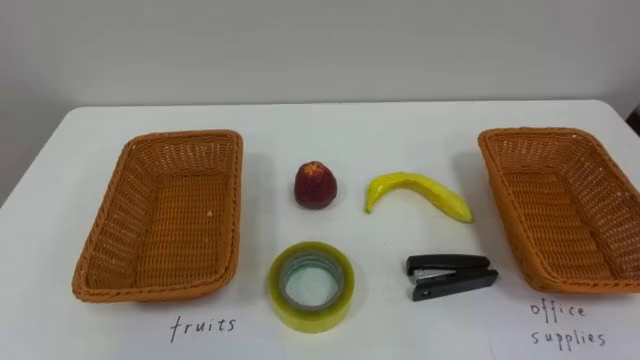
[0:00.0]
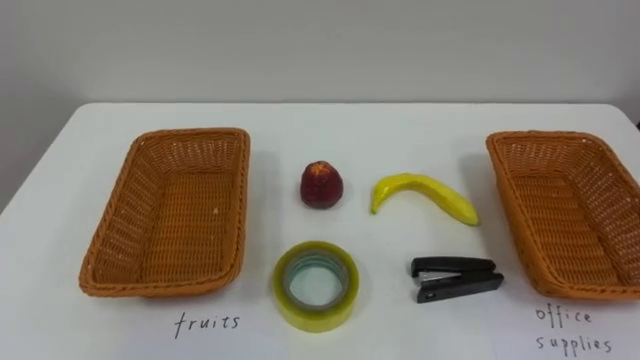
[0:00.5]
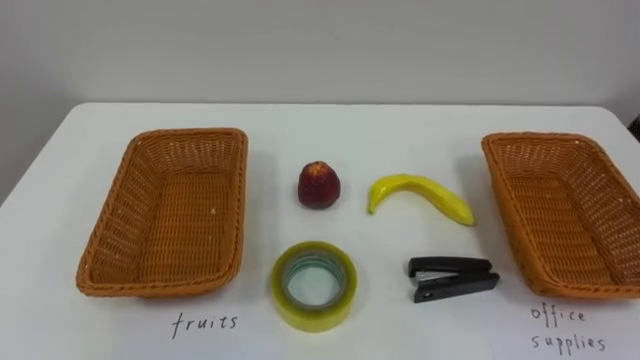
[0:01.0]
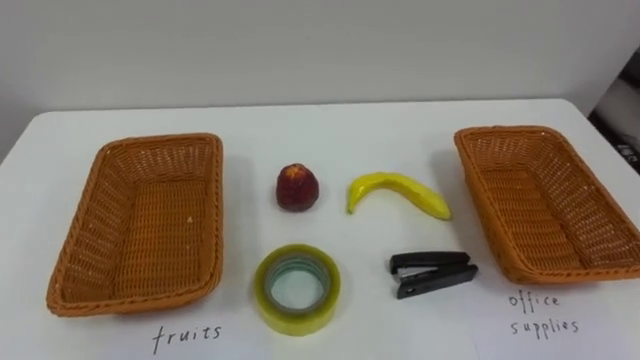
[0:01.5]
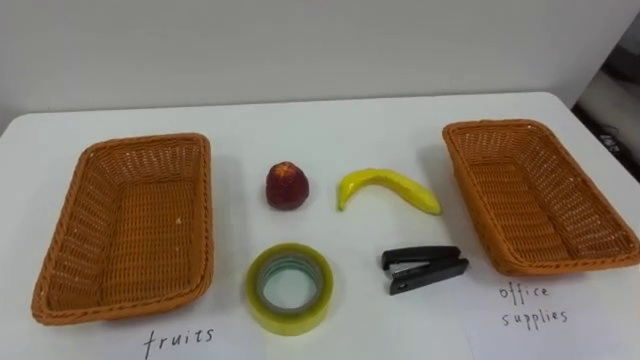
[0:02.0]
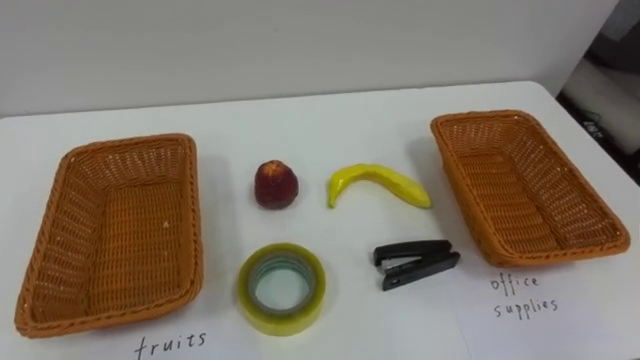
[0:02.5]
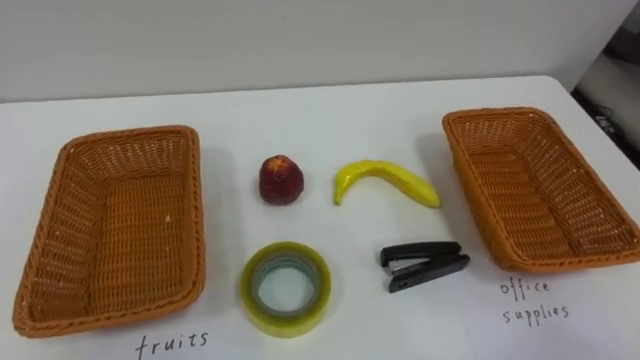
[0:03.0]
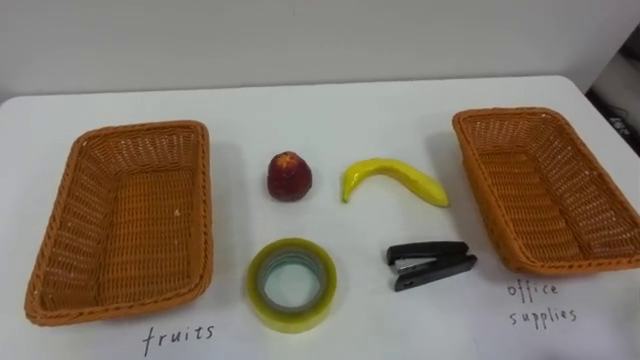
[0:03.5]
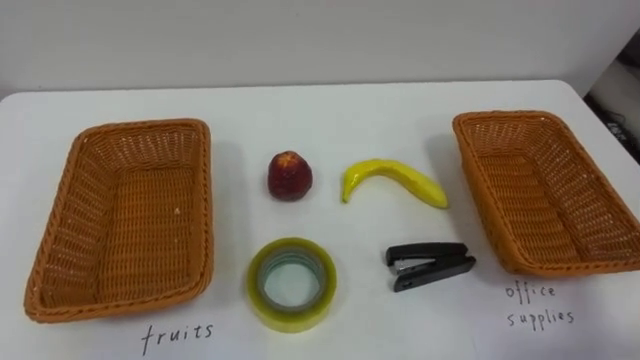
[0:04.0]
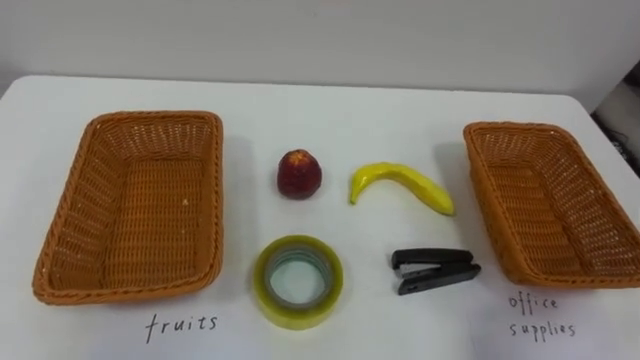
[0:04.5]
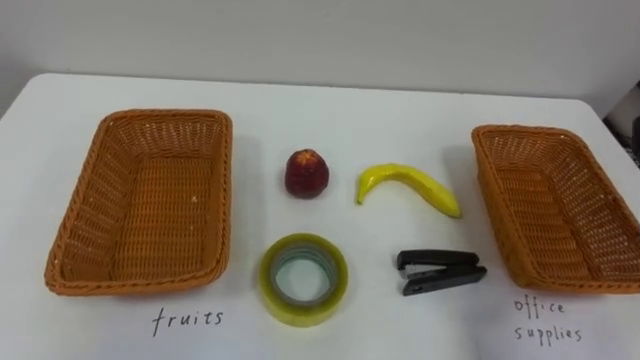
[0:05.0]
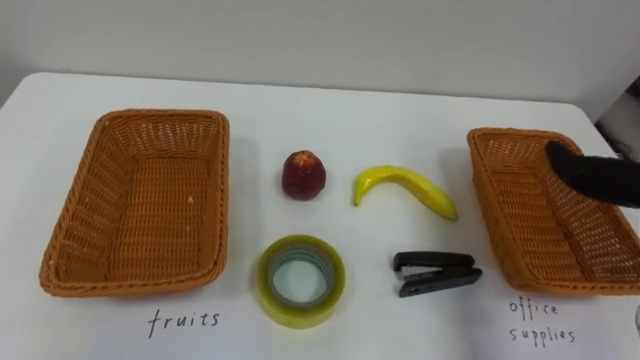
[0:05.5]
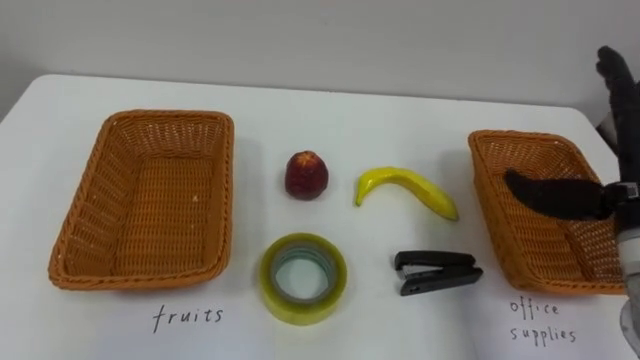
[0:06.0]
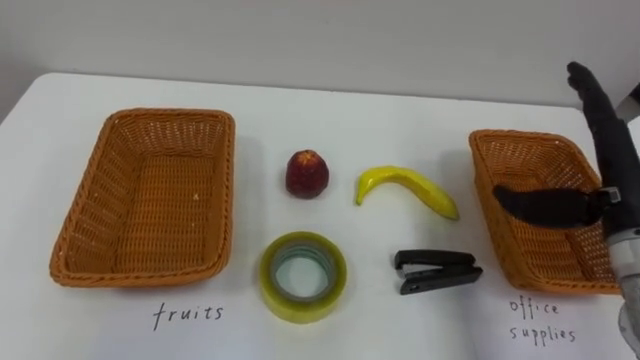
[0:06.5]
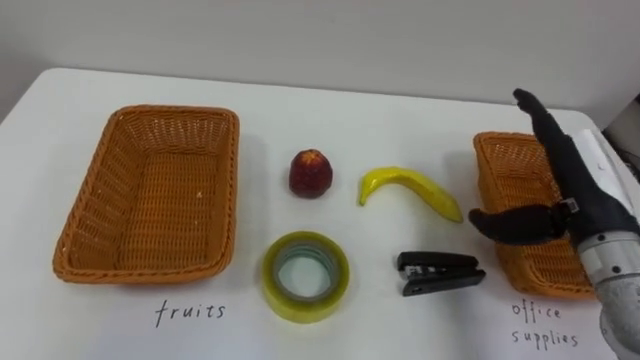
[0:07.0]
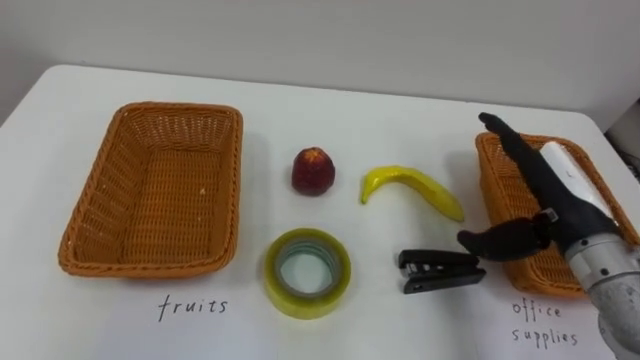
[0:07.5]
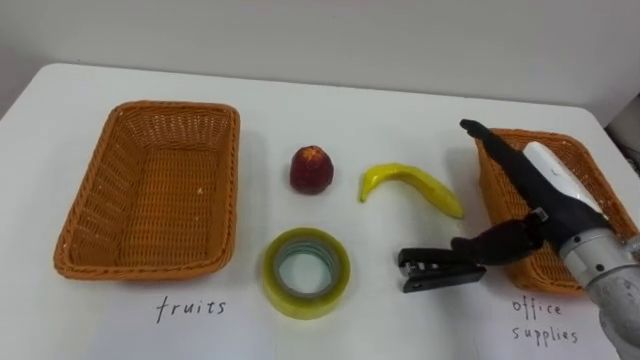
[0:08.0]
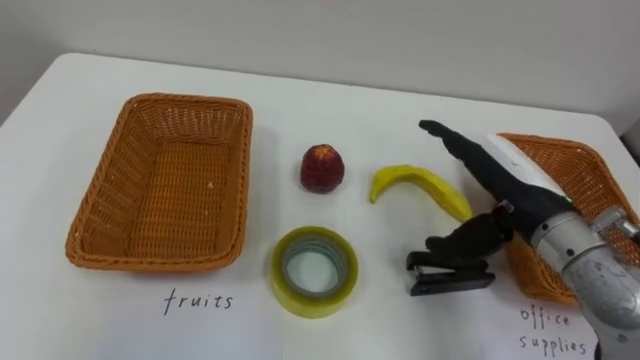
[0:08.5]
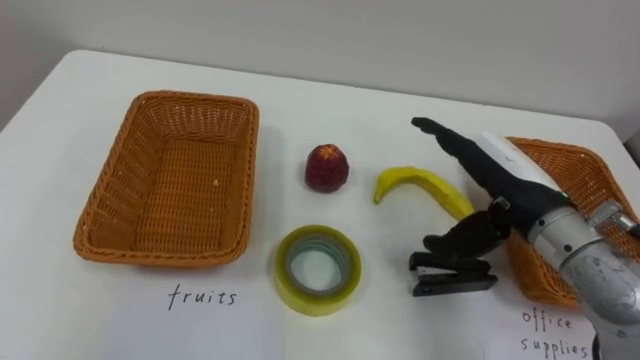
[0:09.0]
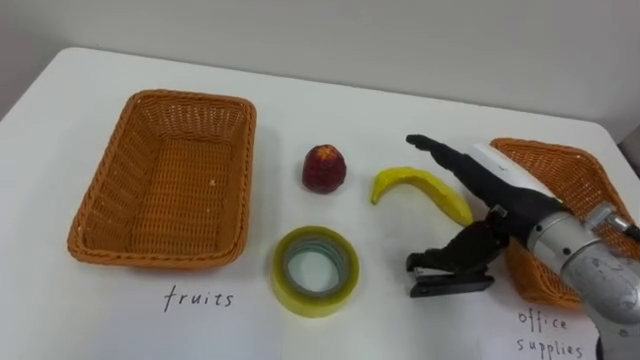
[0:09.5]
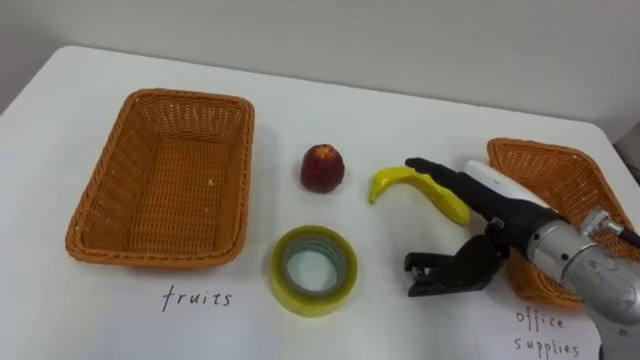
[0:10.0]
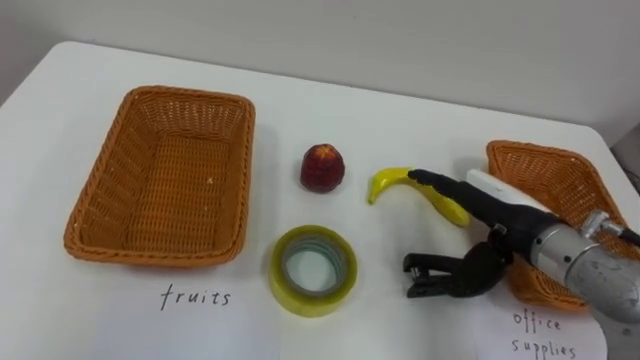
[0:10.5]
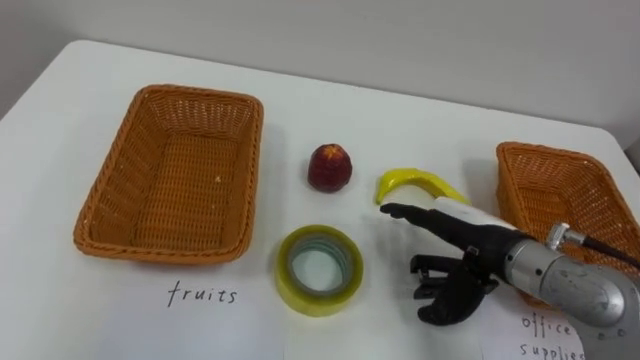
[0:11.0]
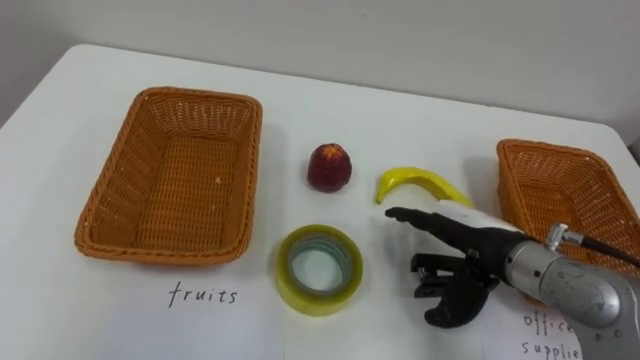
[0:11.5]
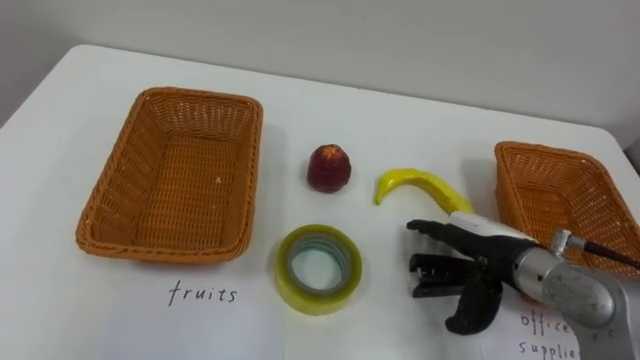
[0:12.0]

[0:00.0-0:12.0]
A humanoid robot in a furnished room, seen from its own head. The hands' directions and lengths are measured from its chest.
Task of the whole recording: Separate the items on the table and place them into the two baskets.
0:06.0 to 0:08.0: The right hand shifts some 5 cm to the left.
0:10.0 to 0:12.0: The right hand heads downward, covering roughly 5 cm.

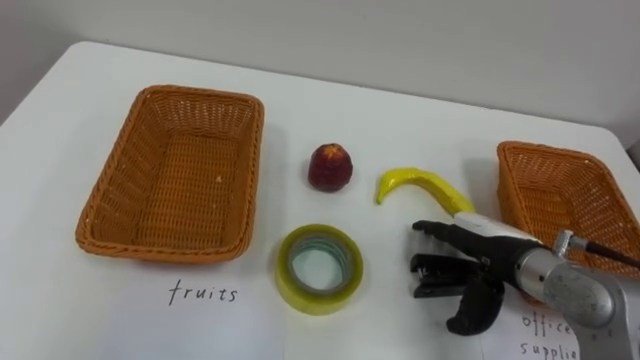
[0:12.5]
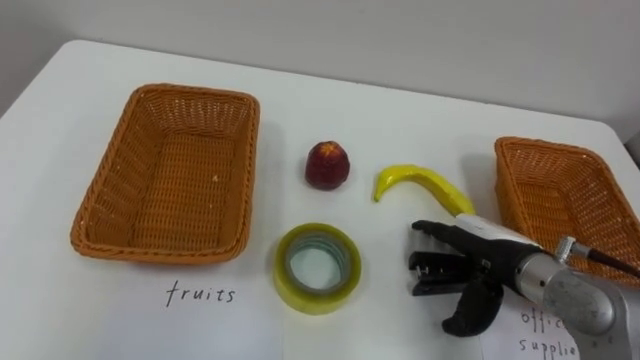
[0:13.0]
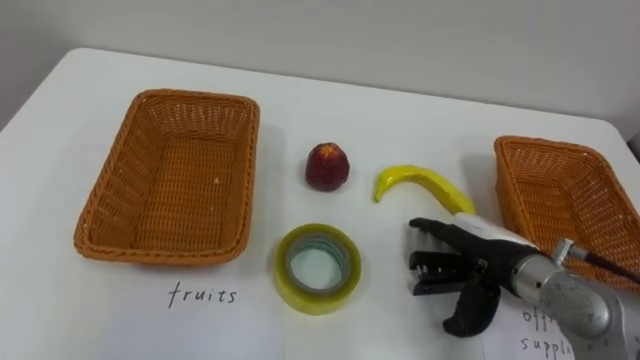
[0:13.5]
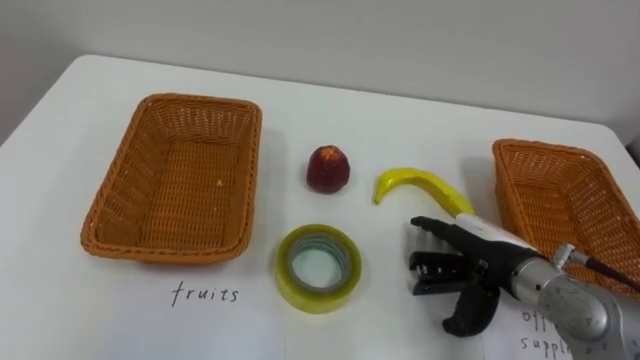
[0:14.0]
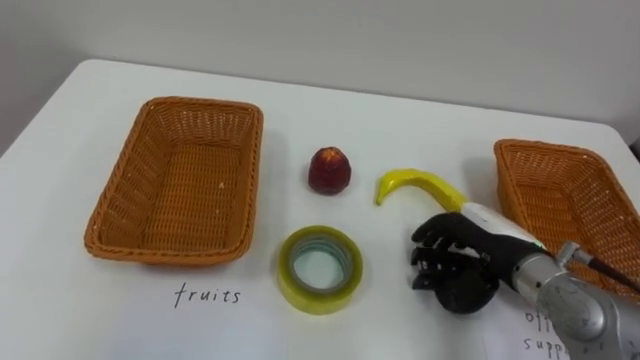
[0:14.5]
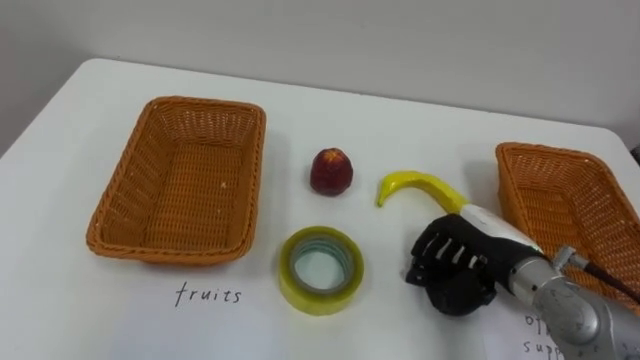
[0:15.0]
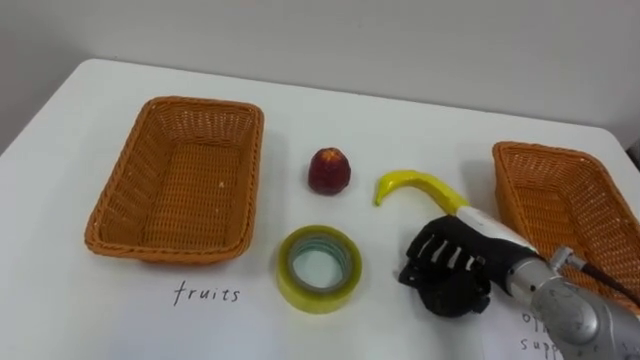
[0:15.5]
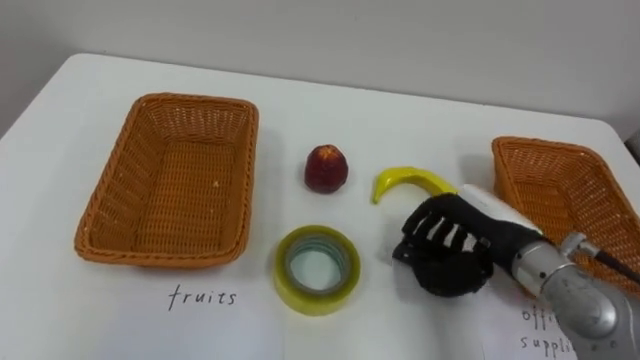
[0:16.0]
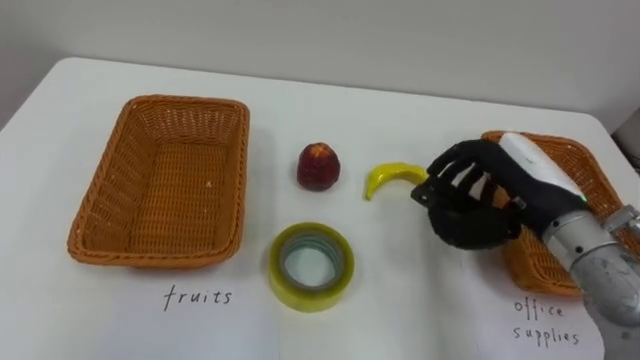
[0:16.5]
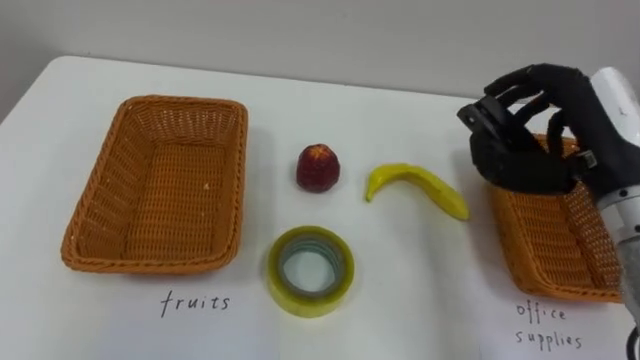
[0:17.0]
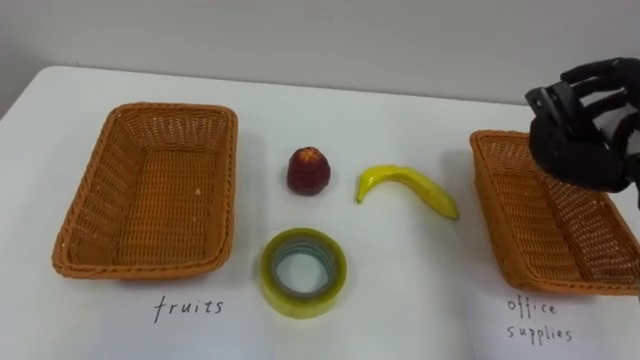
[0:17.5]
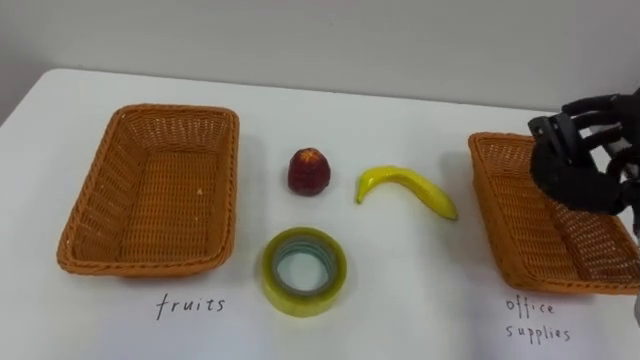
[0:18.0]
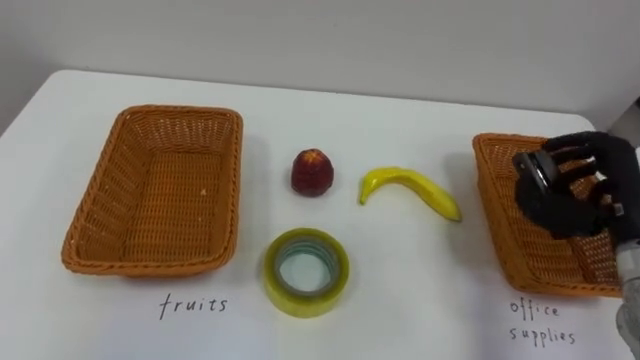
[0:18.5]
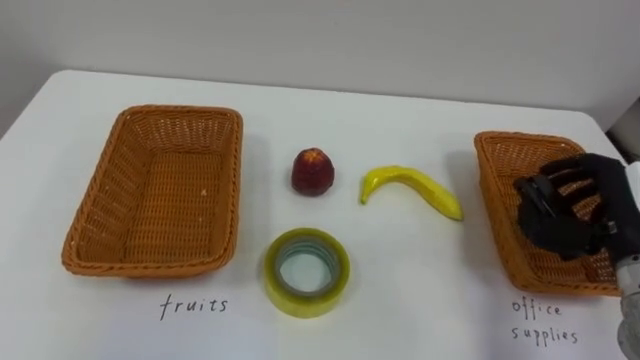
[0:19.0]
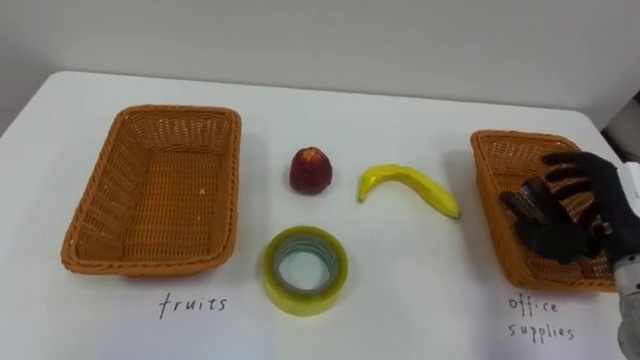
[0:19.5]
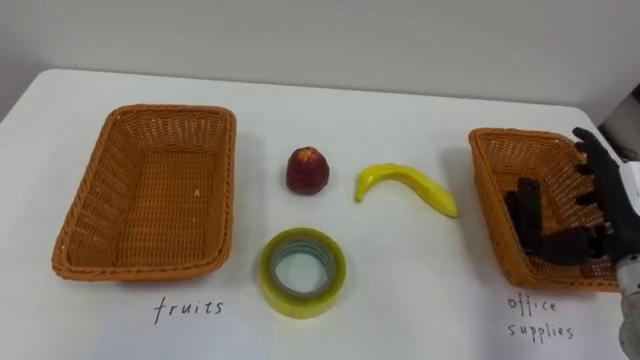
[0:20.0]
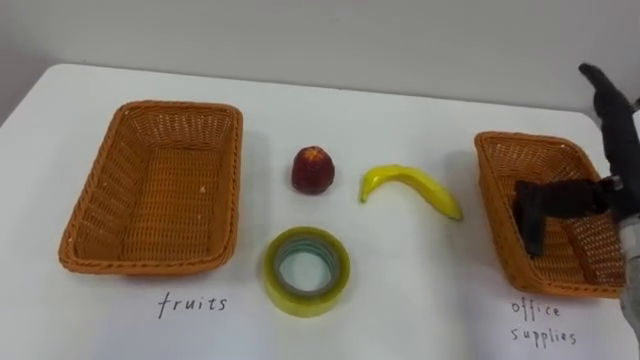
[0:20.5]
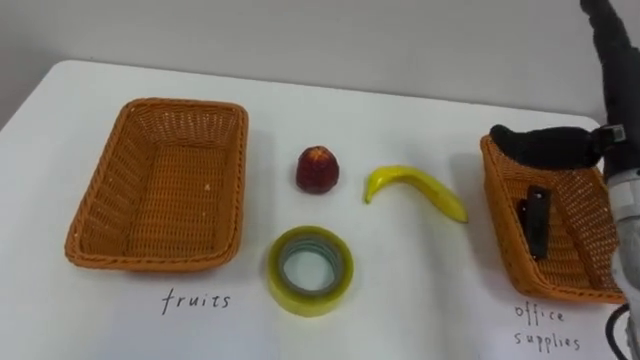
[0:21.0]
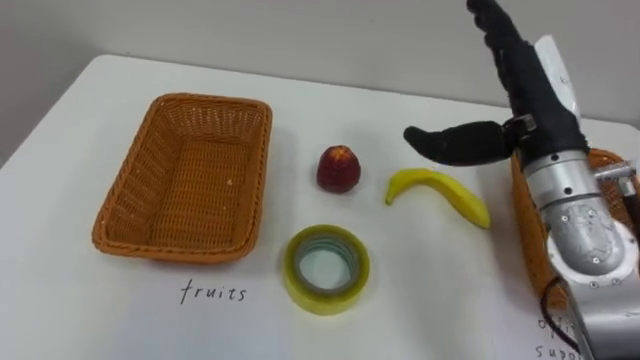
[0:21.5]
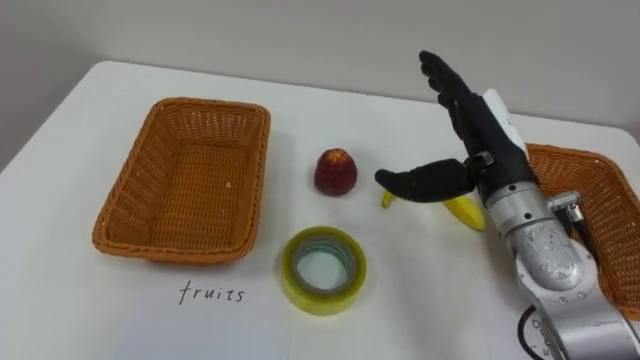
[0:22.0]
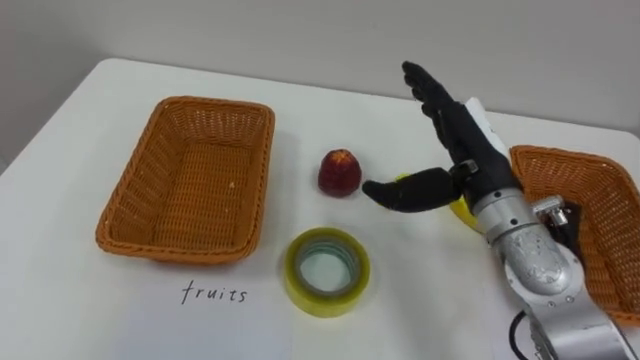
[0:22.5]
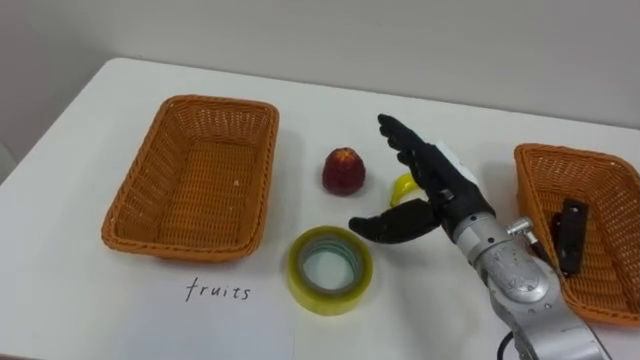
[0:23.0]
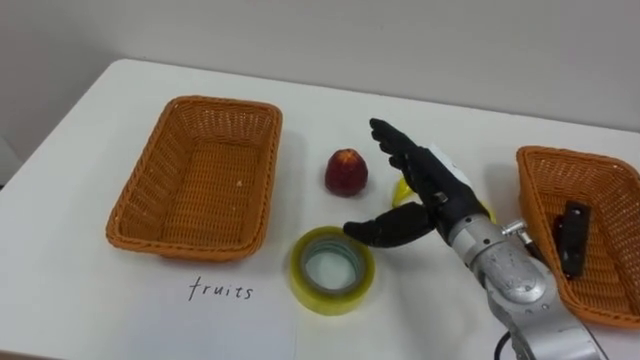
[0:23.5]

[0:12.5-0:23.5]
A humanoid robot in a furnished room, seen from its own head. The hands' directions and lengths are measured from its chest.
Task of the whole recording: Separate the items on the table and place them into the two baskets.
0:21.5 to 0:23.5: The right hand moves downward and to the left, roughly 15 cm.
